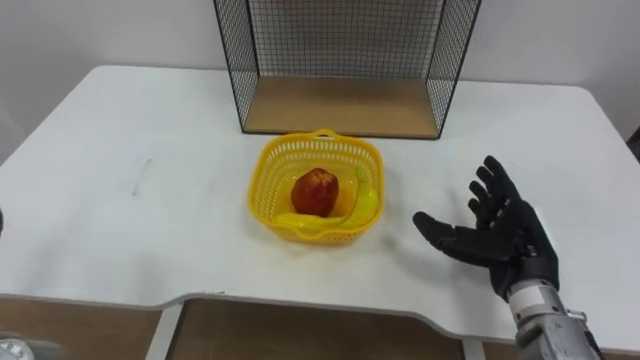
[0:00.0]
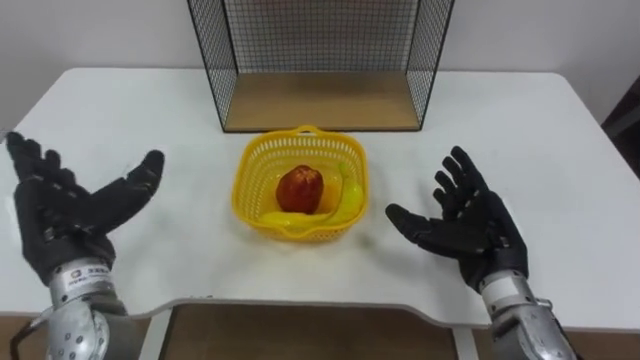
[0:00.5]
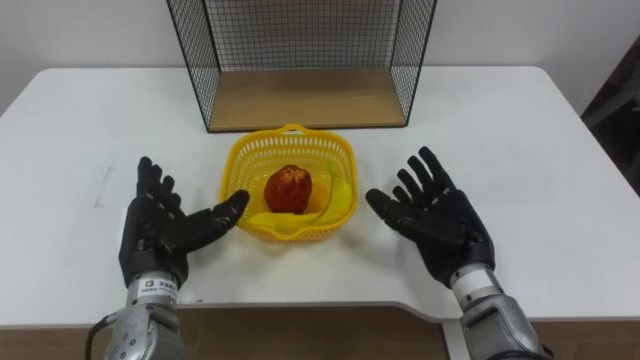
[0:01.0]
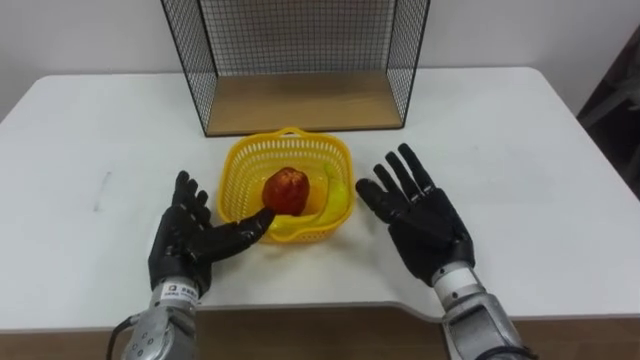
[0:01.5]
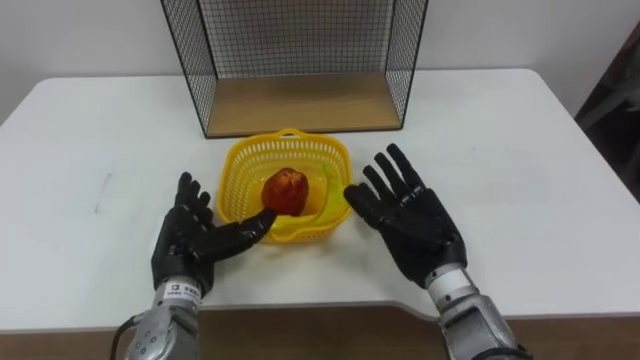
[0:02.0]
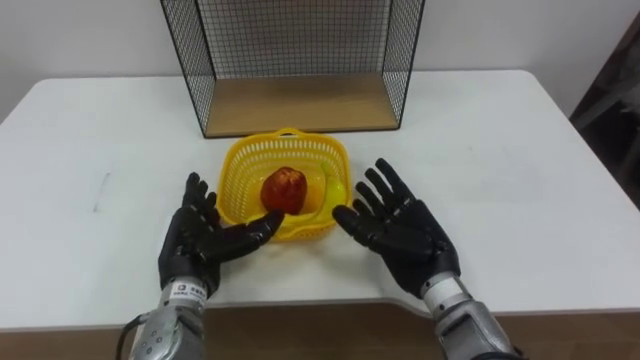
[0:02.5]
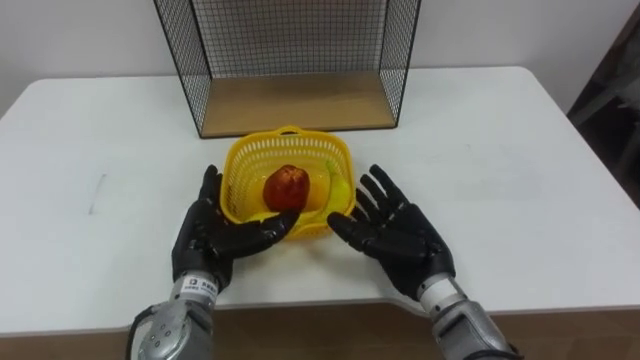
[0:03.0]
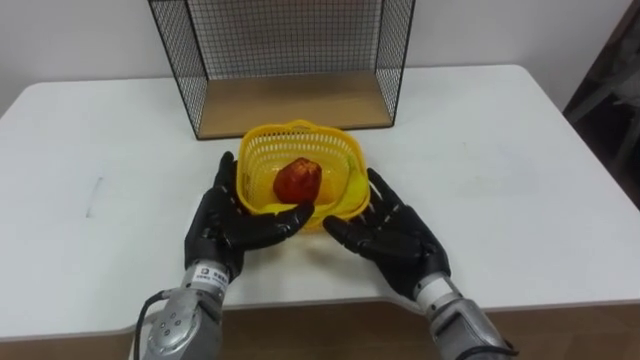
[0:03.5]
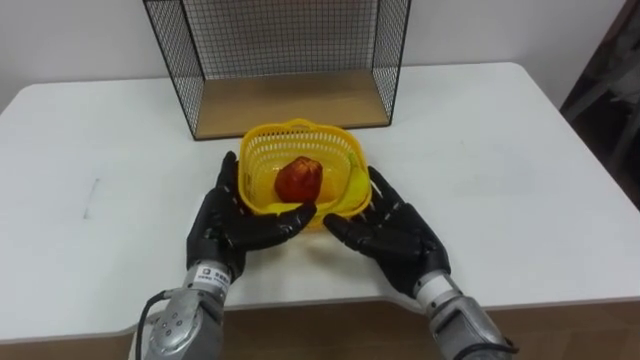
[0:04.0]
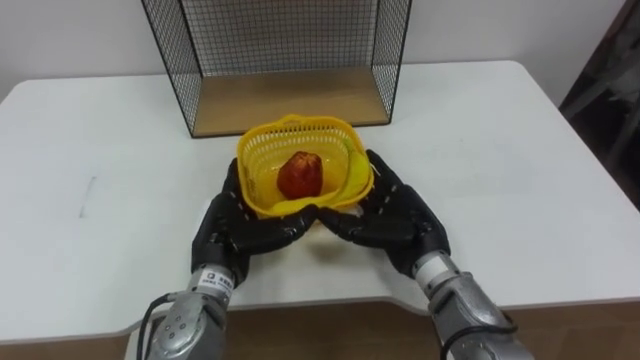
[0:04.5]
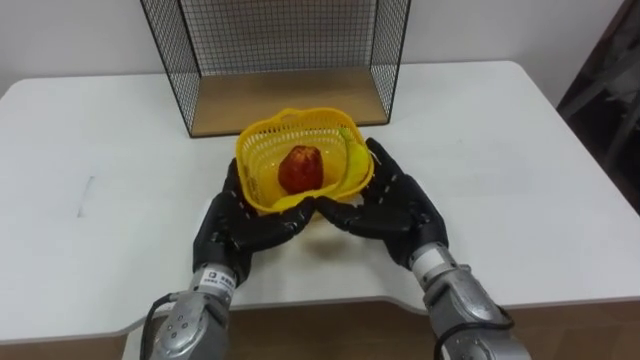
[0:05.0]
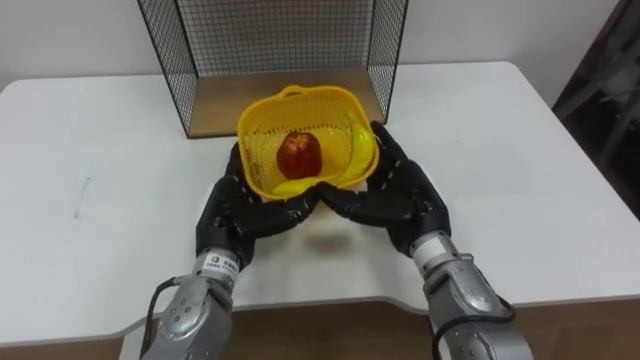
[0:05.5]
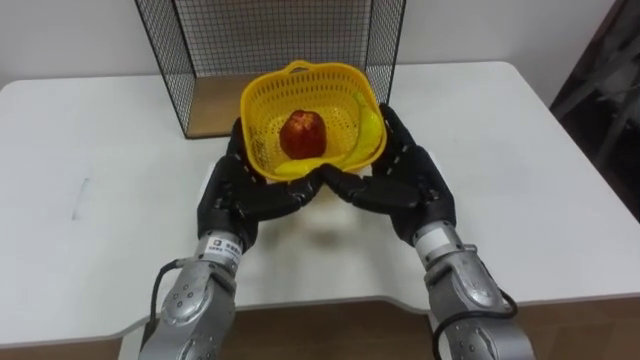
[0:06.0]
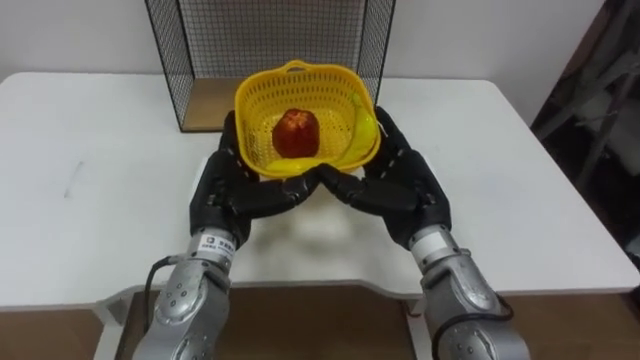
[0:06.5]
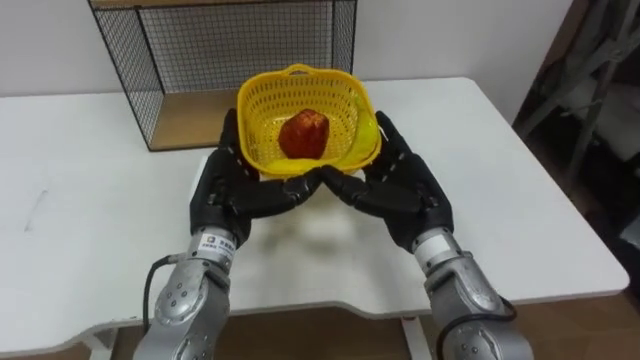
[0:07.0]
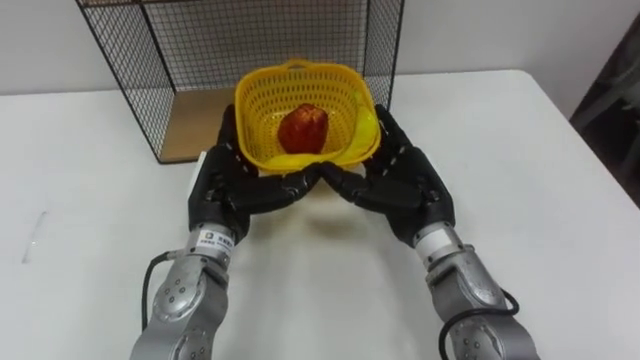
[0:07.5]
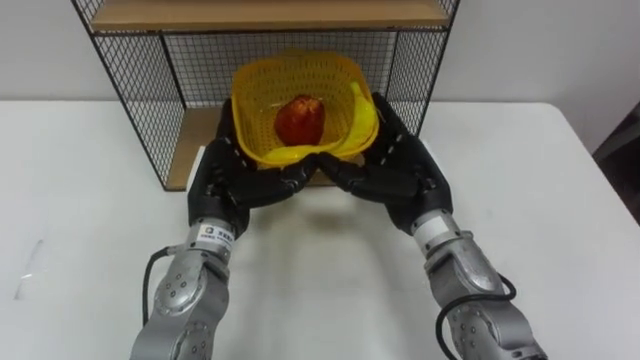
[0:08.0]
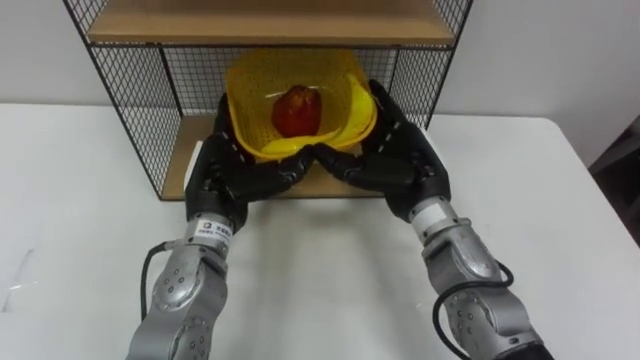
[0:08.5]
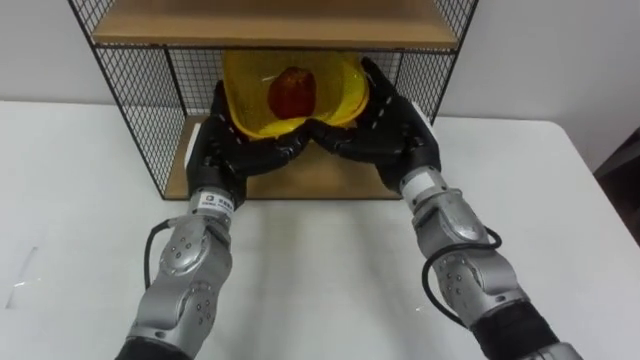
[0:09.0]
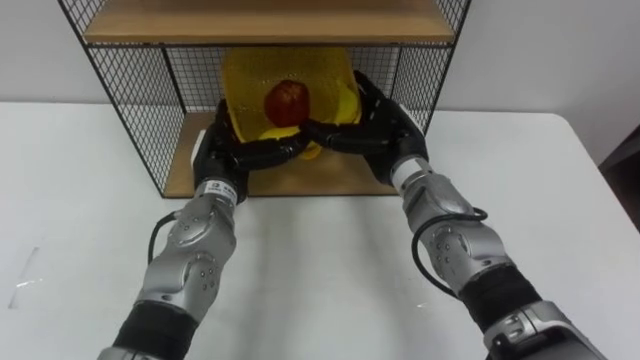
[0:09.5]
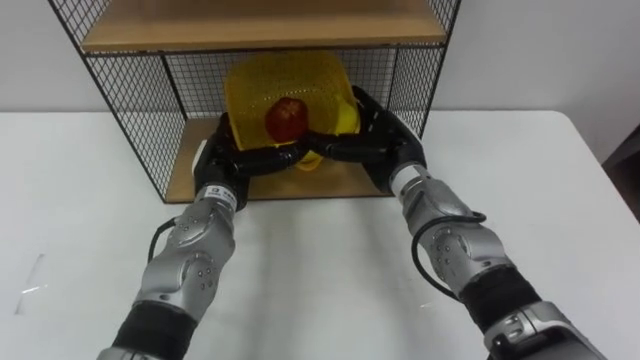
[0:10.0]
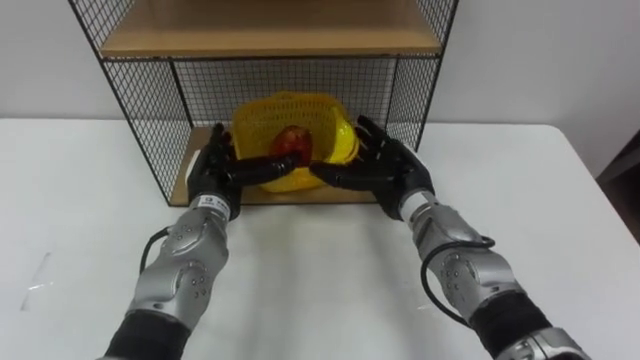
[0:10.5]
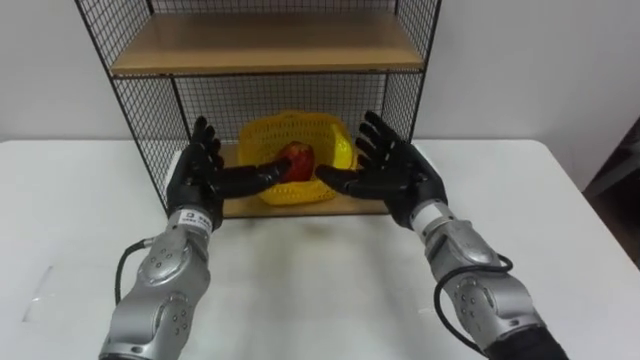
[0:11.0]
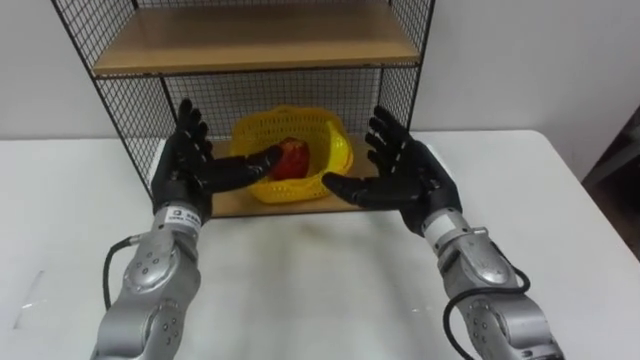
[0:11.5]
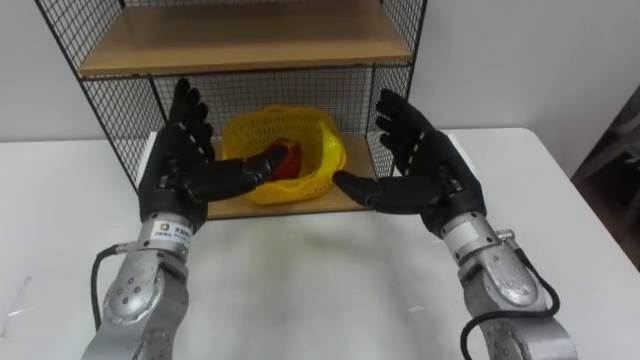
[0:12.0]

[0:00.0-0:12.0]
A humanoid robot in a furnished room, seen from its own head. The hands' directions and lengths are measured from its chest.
Task of the whole recording: Put the fruit on the table into the basket, then place the basket on the shelf.
0:00.0 to 0:02.0: The right hand travels to the left by approximately 10 cm.
0:02.0 to 0:04.0: The left hand shifts by about 5 cm.
0:04.0 to 0:06.0: The right hand heads upward, covering roughly 5 cm.
0:08.0 to 0:10.0: Both hands move forward, about 5 cm.
0:10.0 to 0:12.0: The left hand travels upward and backward by about 10 cm, while the right hand shifts approximately 10 cm backward and to the right.

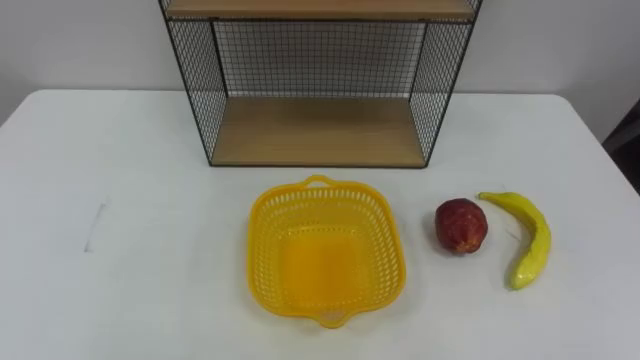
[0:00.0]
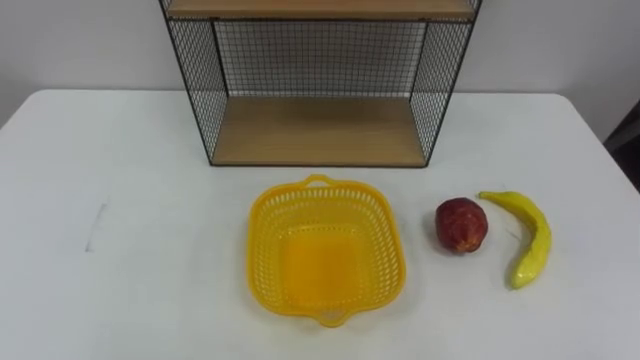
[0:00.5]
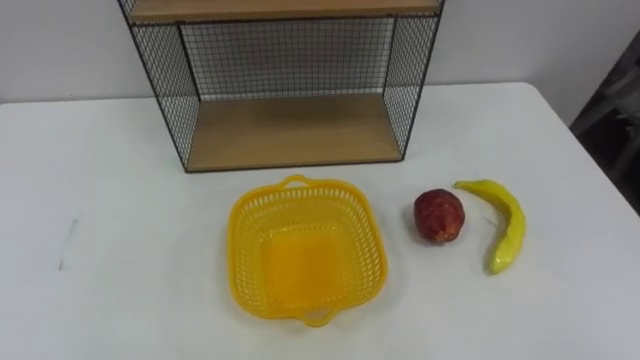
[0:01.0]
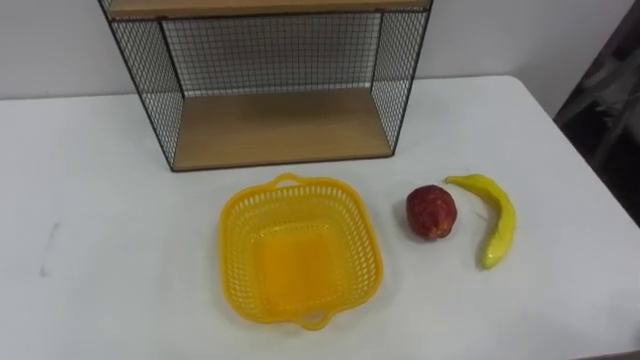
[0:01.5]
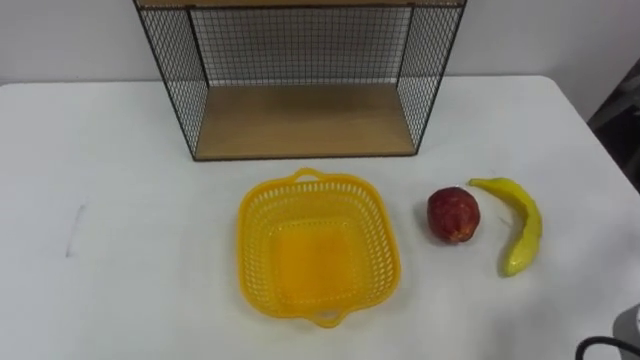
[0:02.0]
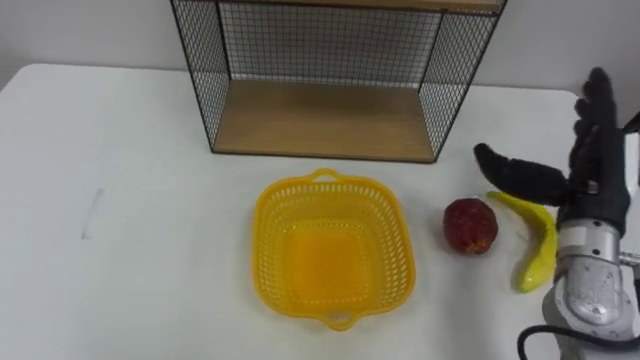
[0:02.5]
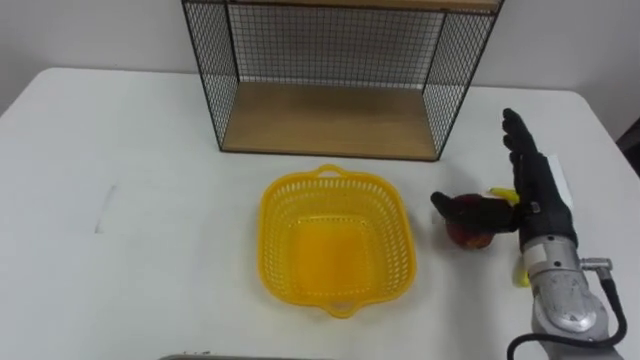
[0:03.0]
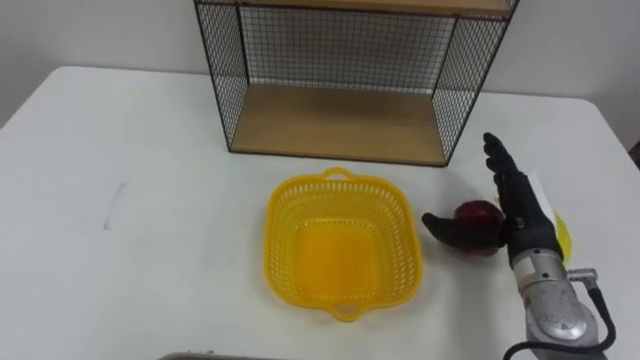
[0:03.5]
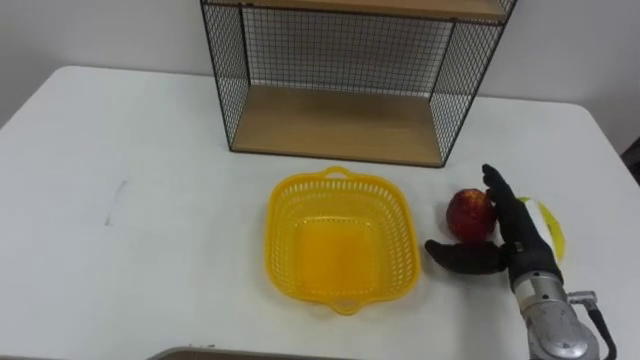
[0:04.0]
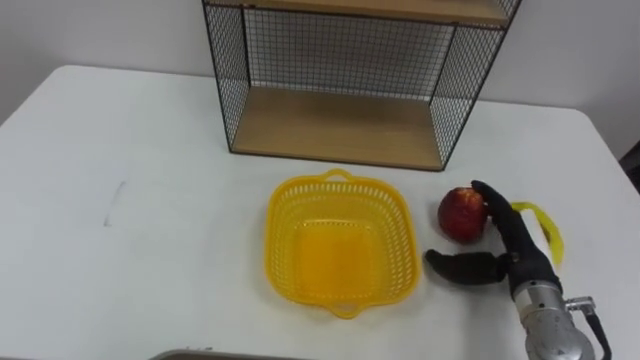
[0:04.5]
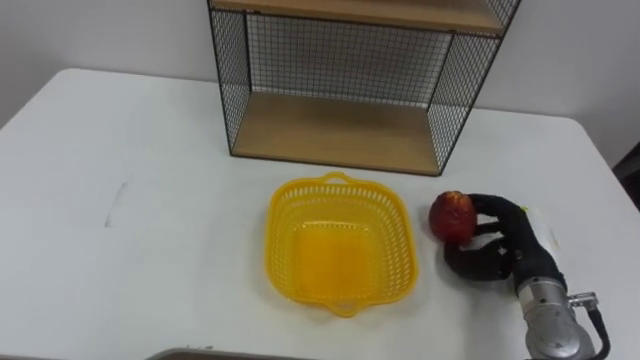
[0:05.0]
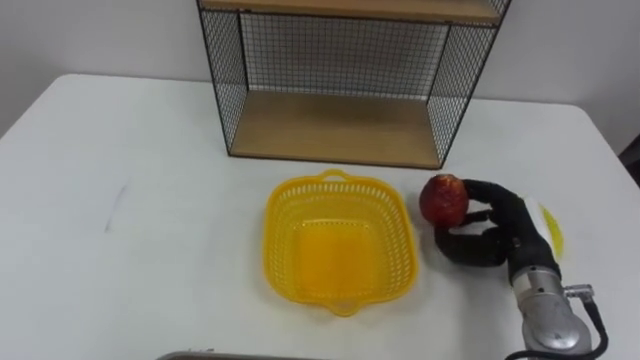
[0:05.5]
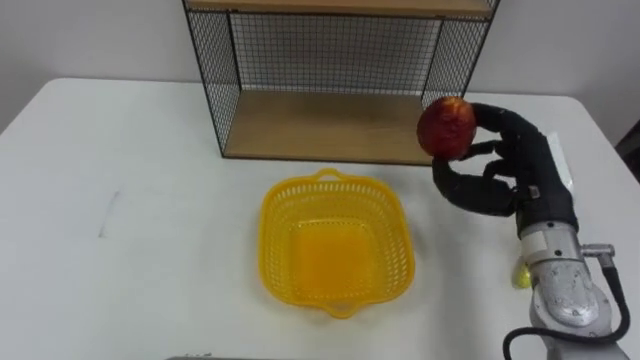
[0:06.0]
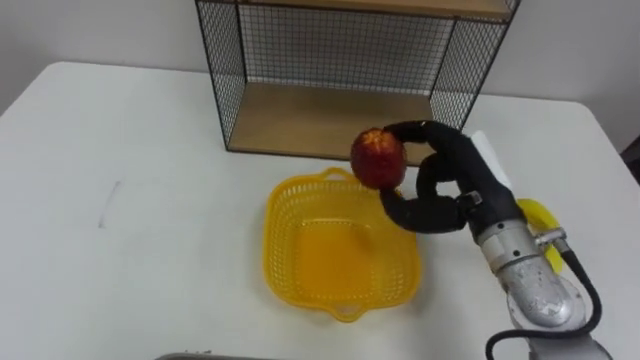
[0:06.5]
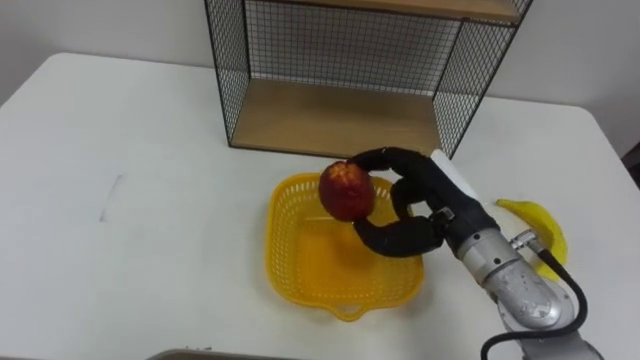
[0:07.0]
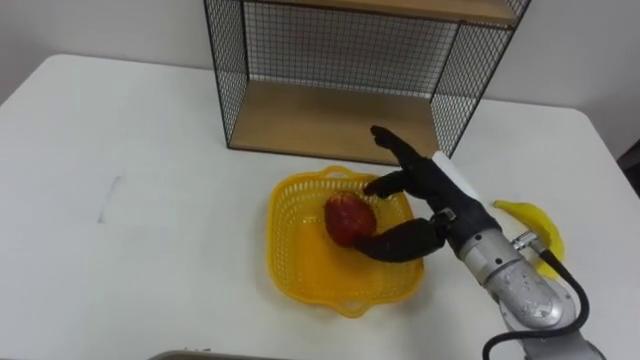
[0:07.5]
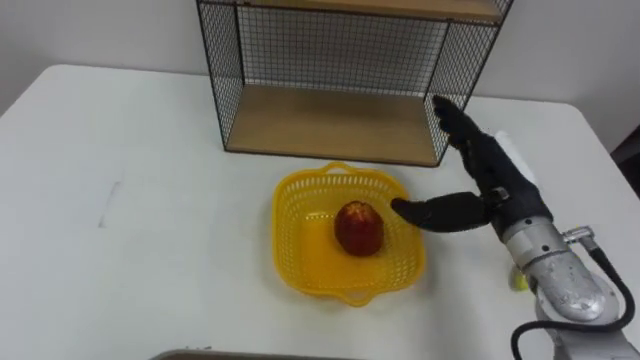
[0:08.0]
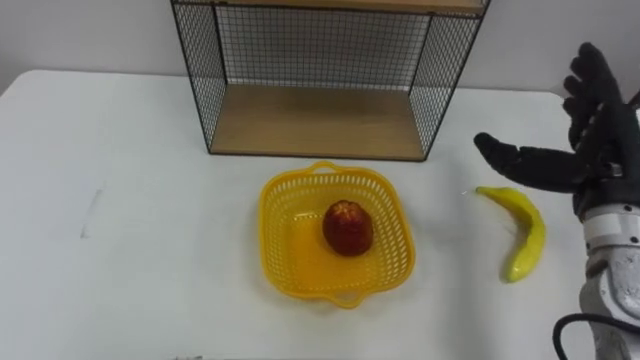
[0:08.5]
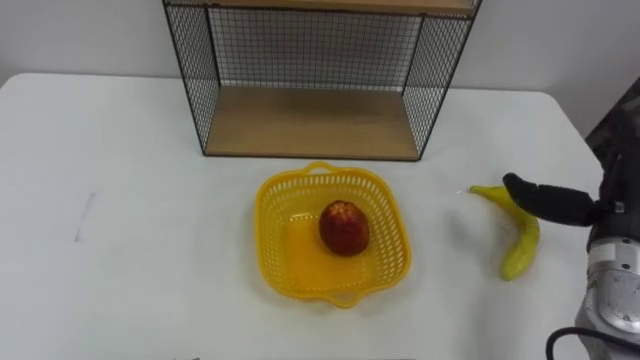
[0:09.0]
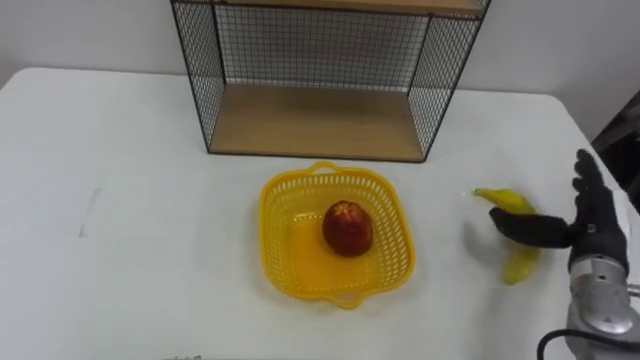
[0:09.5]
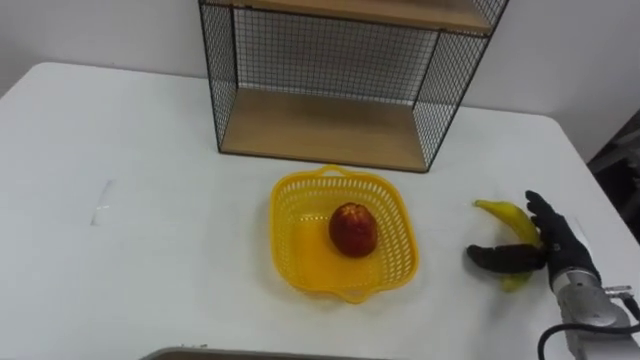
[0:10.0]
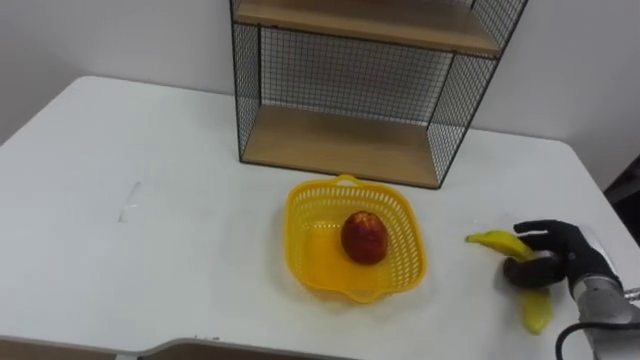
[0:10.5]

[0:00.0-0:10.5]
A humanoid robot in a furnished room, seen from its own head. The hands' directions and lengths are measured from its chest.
Task of the whole recording: Put the fruit on the table into the basket, then place the basket on the shelf.
0:04.0 to 0:06.5: The right hand moves upward and to the left, about 10 cm, and closes up.
0:06.5 to 0:08.5: The right hand is displaced to the right by some 10 cm, and opens.
0:08.5 to 0:10.5: The right hand moves downward, some 20 cm.
